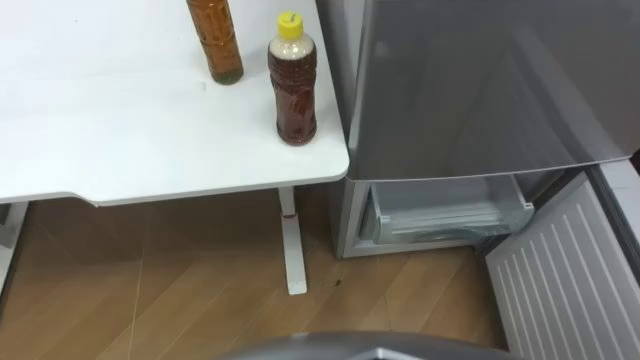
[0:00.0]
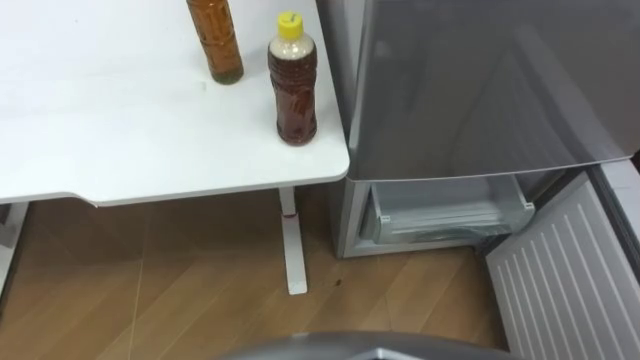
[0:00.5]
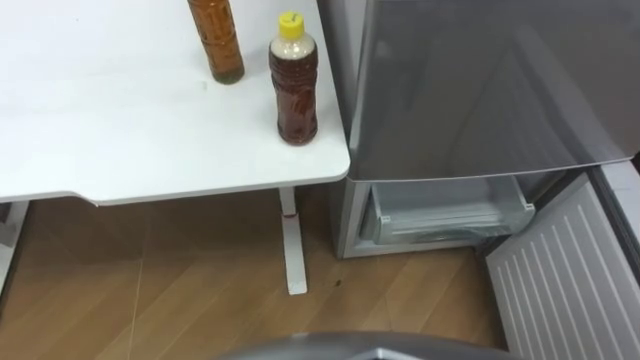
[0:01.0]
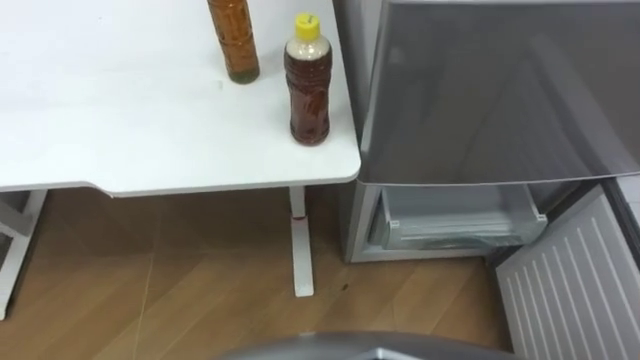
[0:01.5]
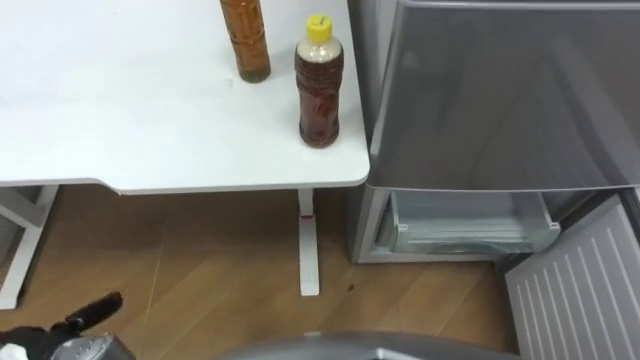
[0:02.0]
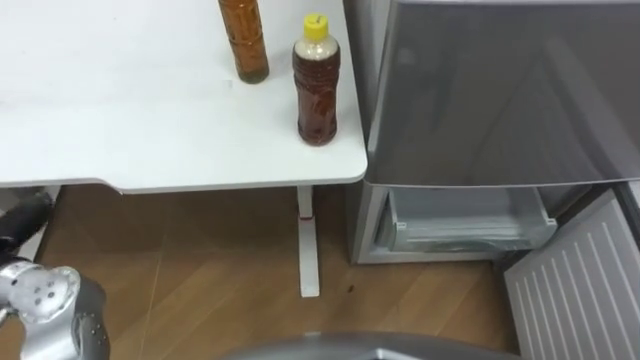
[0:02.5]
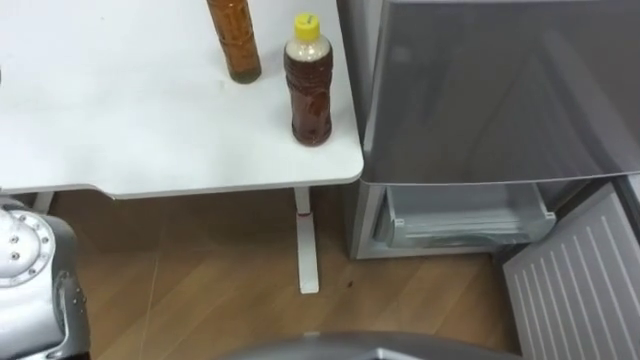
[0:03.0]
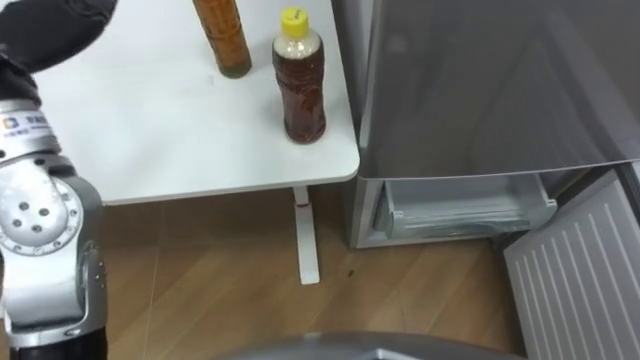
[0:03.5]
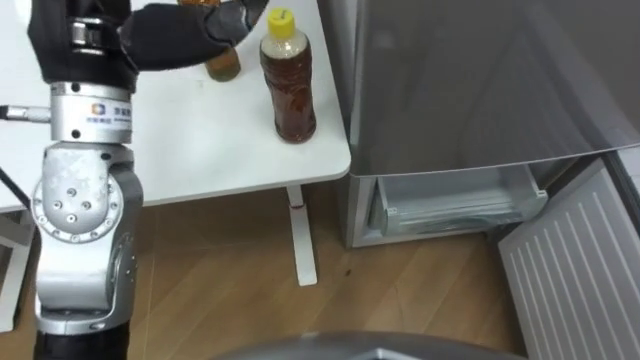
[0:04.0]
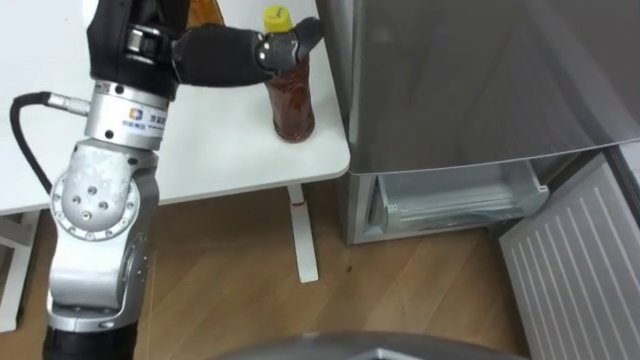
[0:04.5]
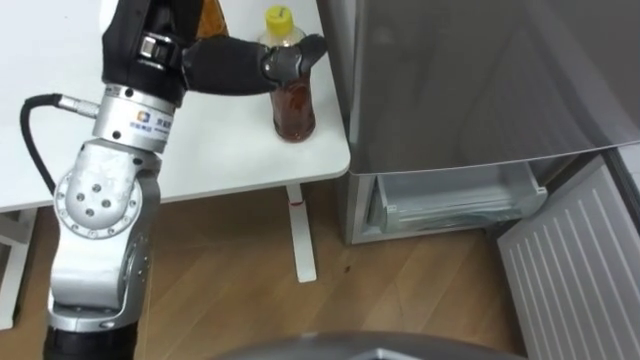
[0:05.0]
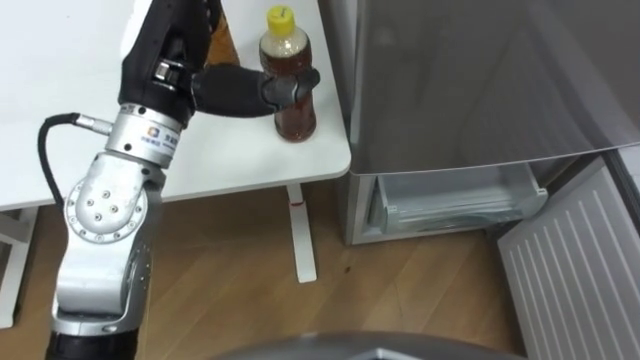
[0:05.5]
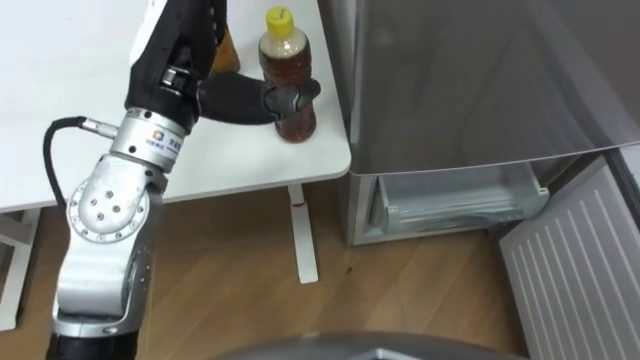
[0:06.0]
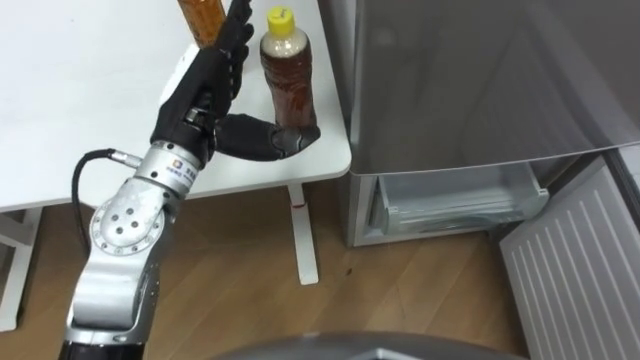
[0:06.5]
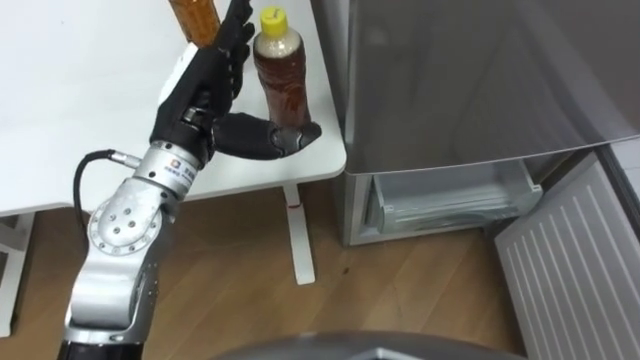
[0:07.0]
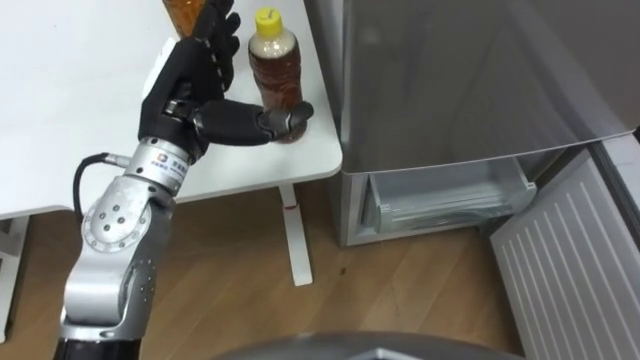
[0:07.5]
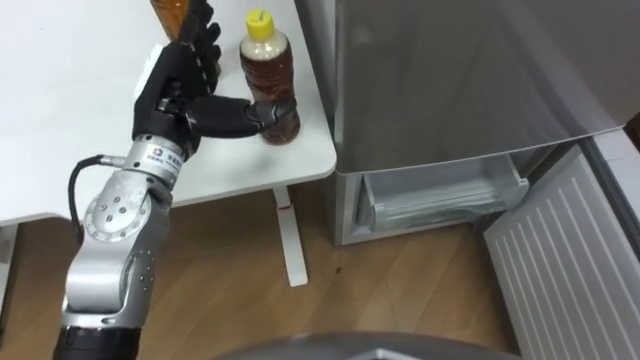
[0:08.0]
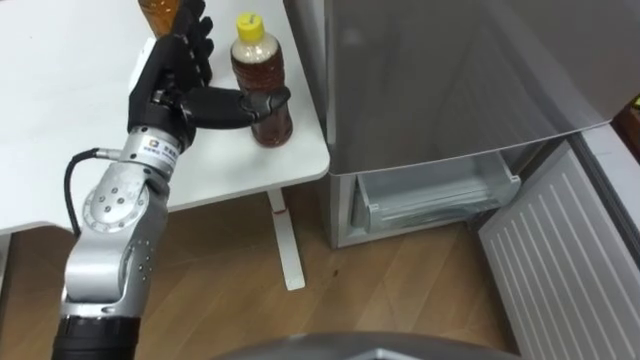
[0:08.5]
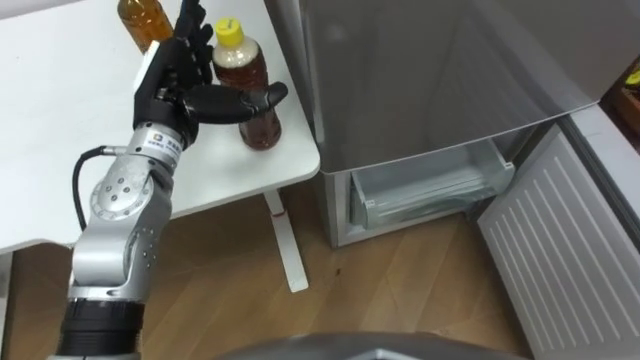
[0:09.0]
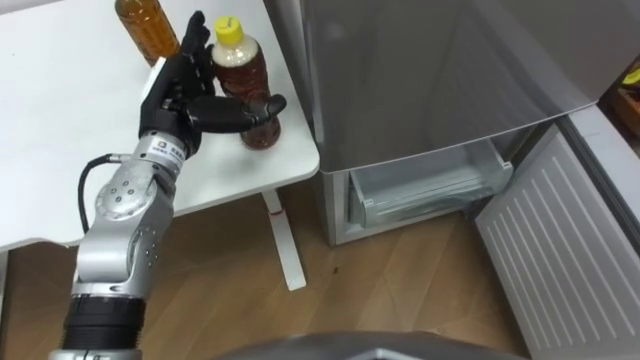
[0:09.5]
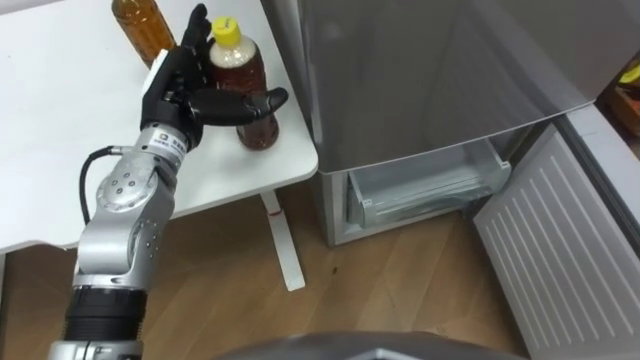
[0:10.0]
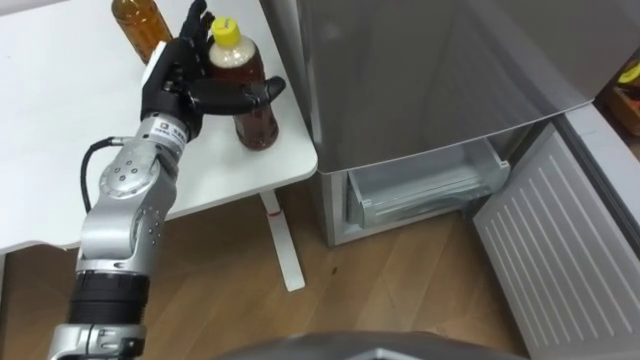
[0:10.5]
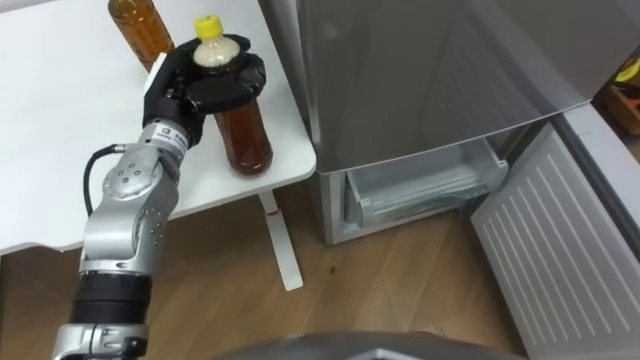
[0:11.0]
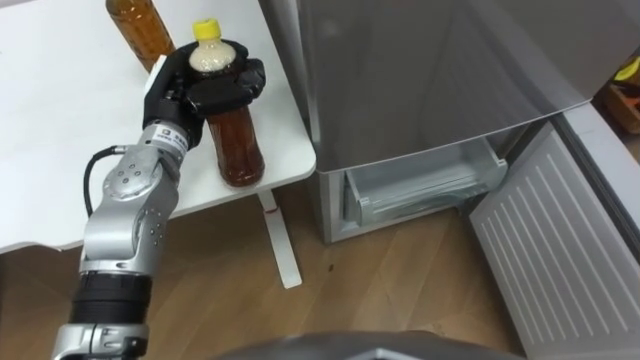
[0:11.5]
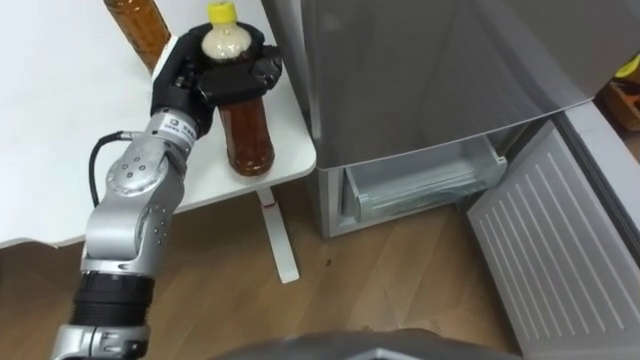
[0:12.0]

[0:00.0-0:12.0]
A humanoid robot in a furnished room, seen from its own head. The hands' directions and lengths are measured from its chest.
Task of the whole recording: Place the drink on the table on the bottom shelf of the refrigerator, then close the drawer and the refrigerator door.
0:04.0 to 0:06.0: The left hand is displaced downward by about 5 cm.
0:06.0 to 0:08.0: The left hand goes about 5 cm downward.
0:10.0 to 0:12.0: The left hand closes up.

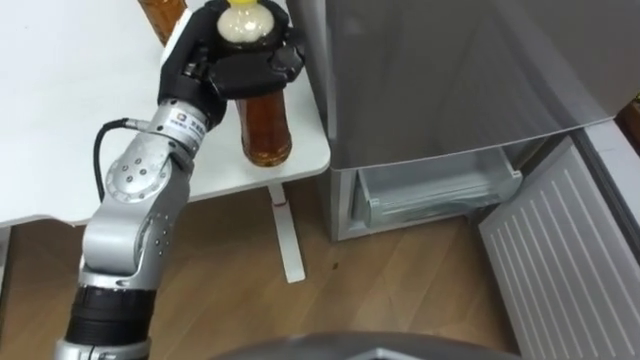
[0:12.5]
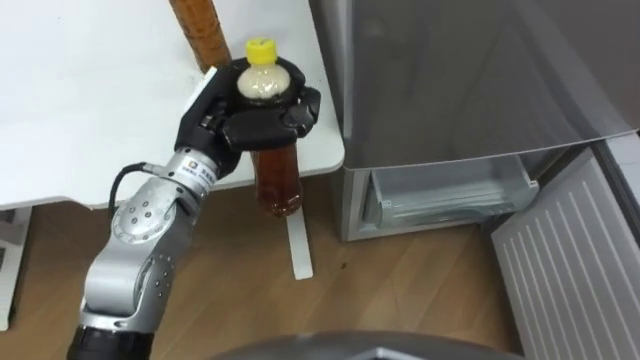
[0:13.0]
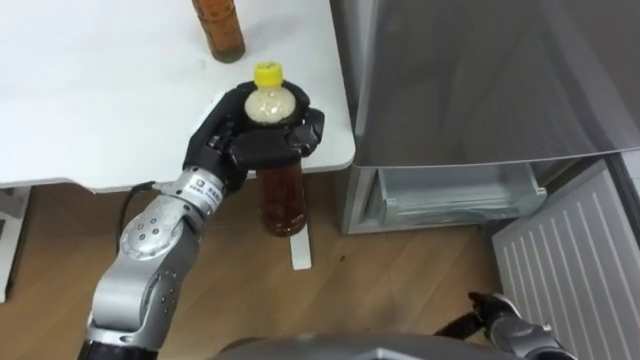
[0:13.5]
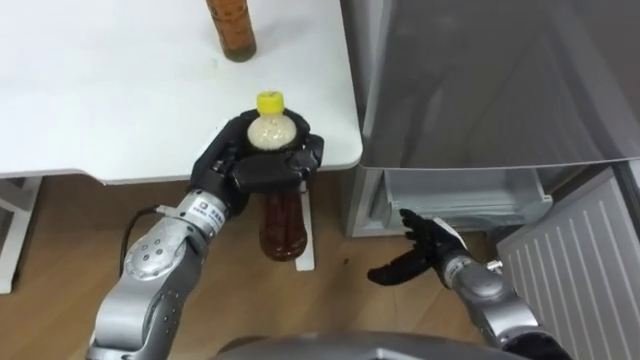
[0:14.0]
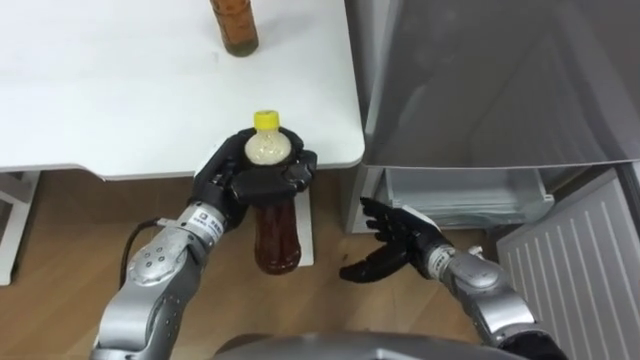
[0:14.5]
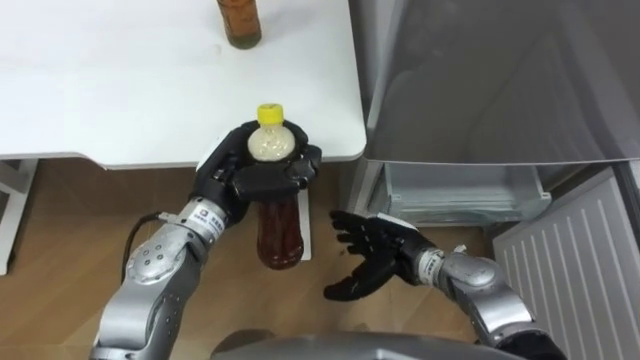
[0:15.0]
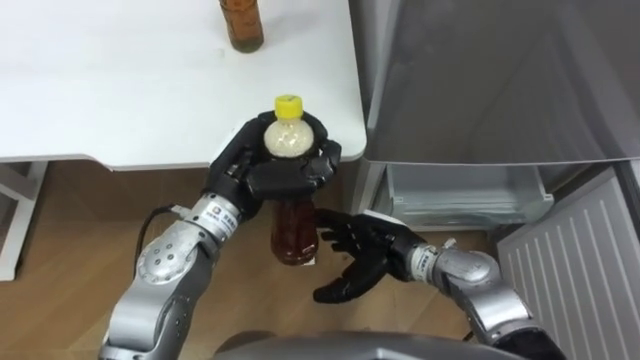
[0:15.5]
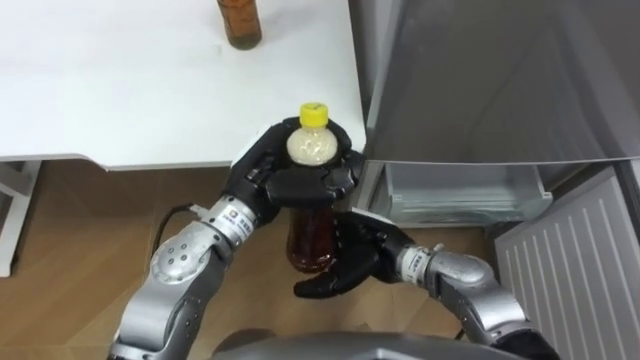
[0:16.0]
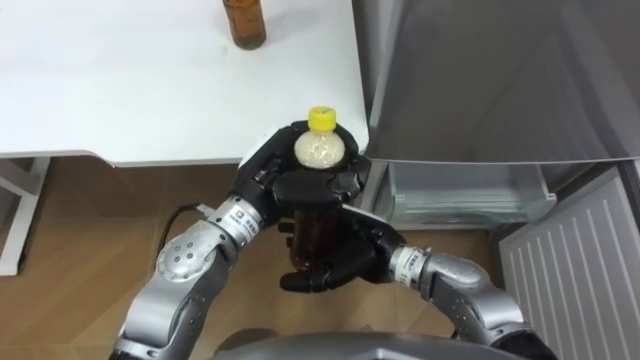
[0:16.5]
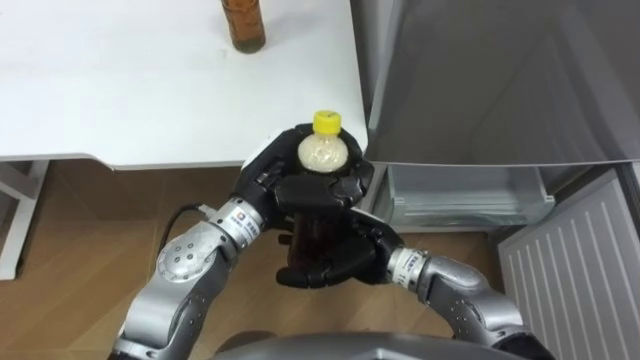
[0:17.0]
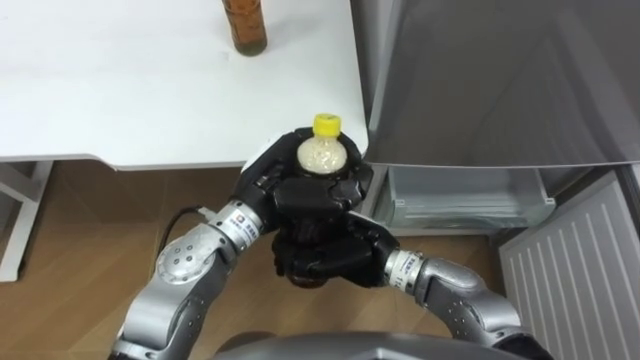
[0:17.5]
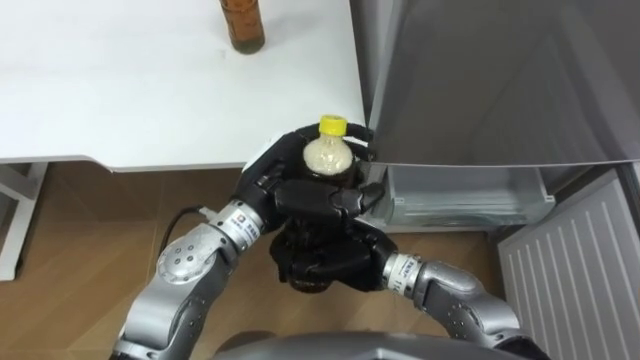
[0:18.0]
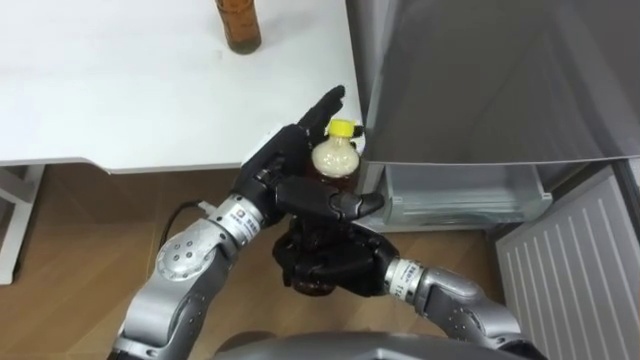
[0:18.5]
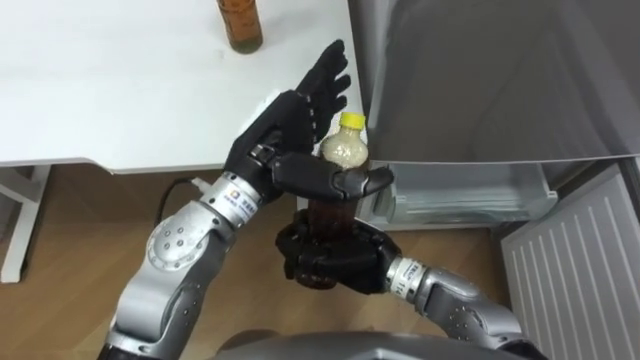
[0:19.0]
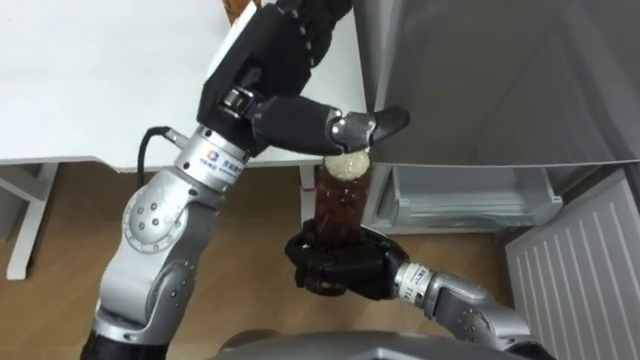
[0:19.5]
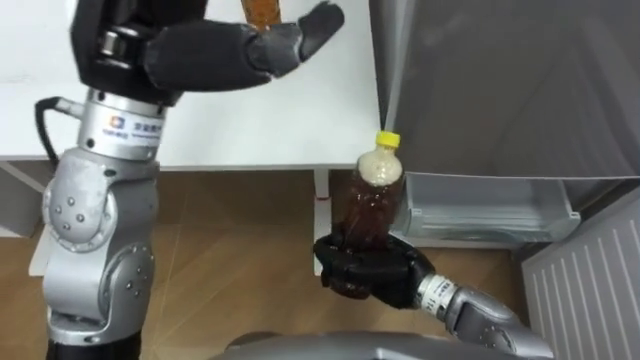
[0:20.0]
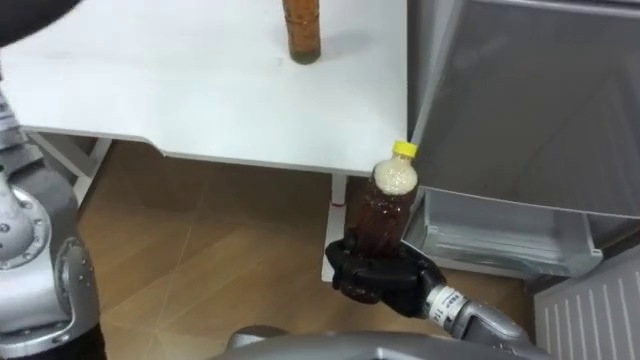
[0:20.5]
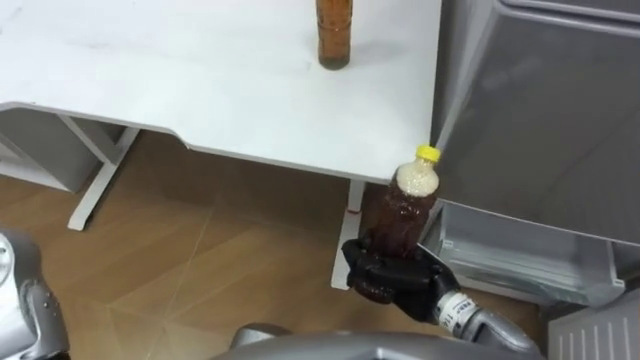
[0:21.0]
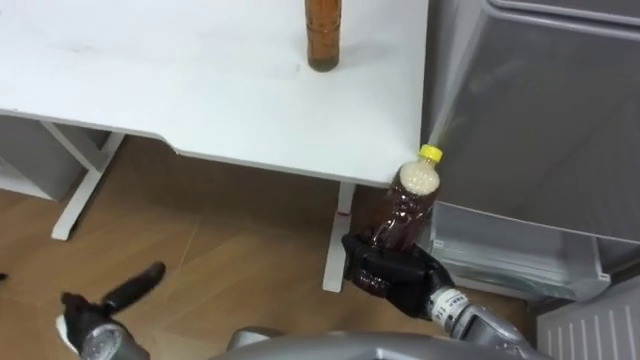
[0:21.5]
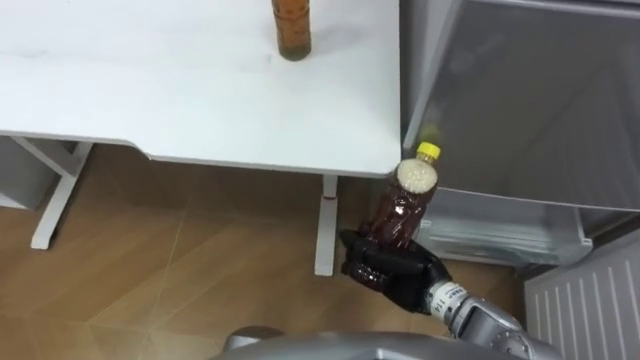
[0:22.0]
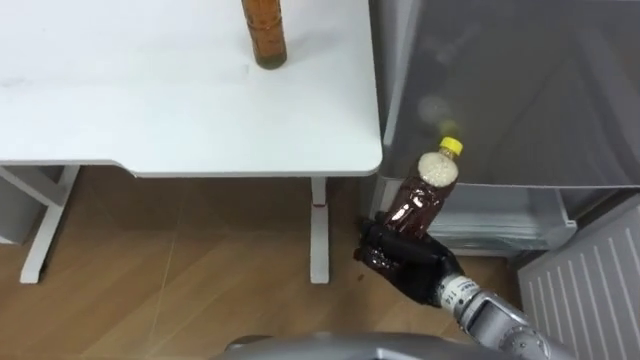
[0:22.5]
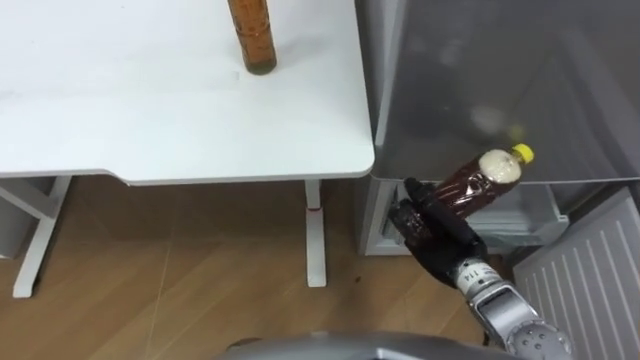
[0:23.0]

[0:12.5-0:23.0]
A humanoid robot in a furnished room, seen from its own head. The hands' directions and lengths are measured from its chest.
Task of the whole recording: Place the drink on the table on the bottom shelf of the refrigerator, then close the drawer and the refrigerator door.
0:12.5 to 0:14.5: The left hand travels downward and backward by approximately 15 cm.
0:14.5 to 0:16.5: The right hand travels to the left and upward by roughly 10 cm. The left hand travels to the right by some 5 cm.
0:16.5 to 0:19.0: The left hand opens; the right hand closes.
0:19.0 to 0:21.0: The right hand goes about 10 cm to the right.
0:21.0 to 0:23.0: The right hand shifts by some 5 cm.
